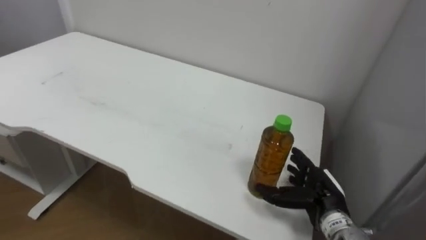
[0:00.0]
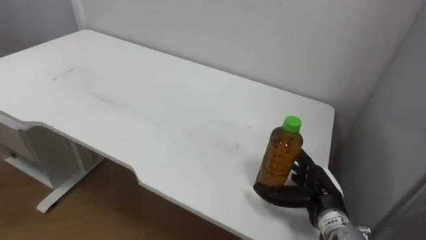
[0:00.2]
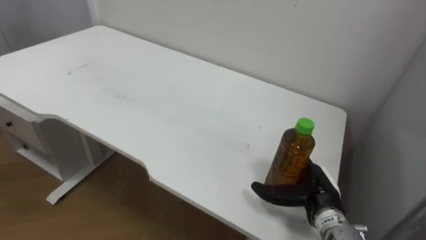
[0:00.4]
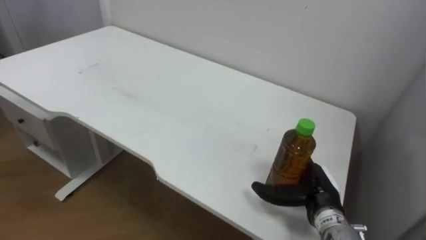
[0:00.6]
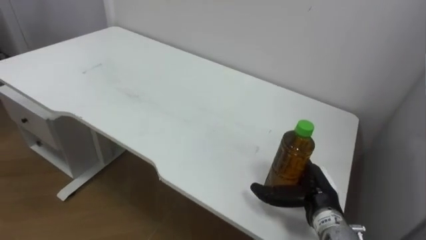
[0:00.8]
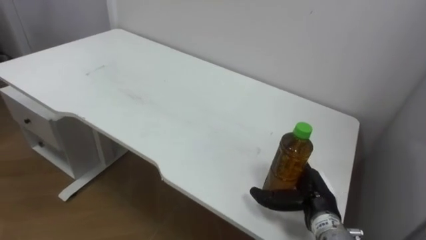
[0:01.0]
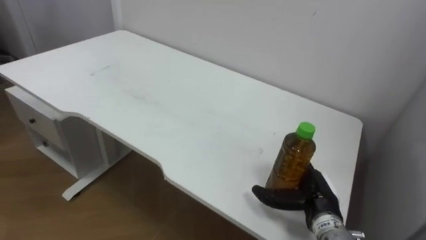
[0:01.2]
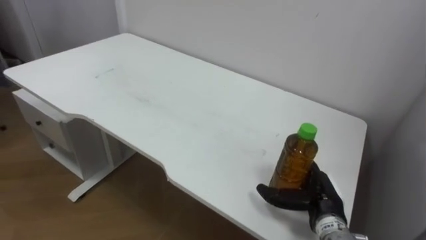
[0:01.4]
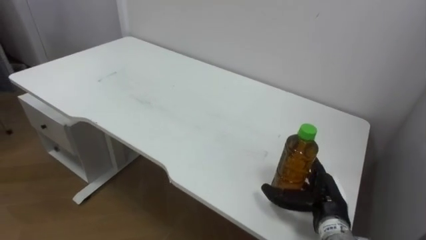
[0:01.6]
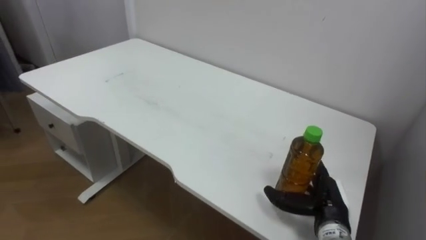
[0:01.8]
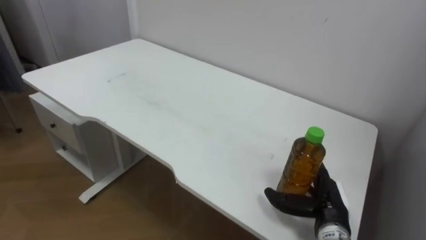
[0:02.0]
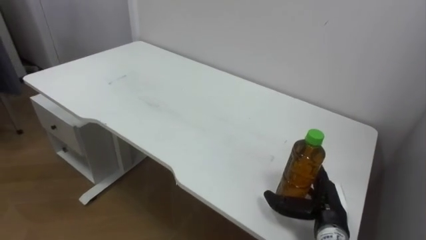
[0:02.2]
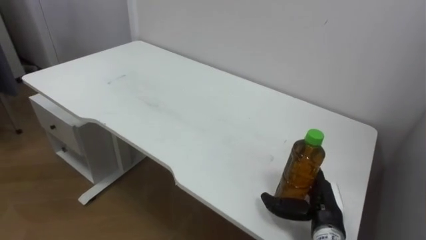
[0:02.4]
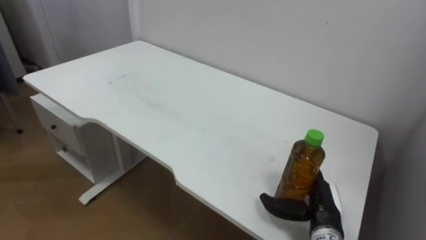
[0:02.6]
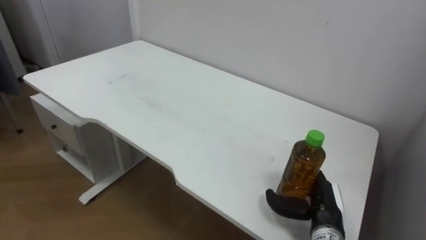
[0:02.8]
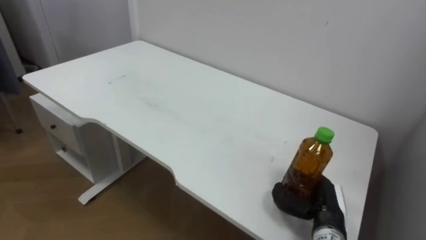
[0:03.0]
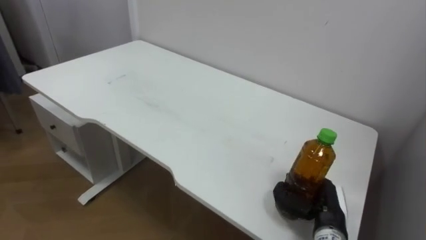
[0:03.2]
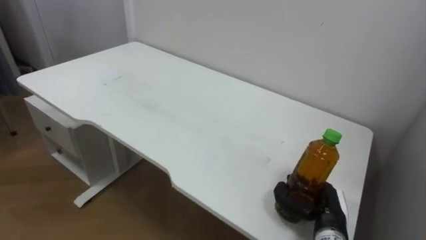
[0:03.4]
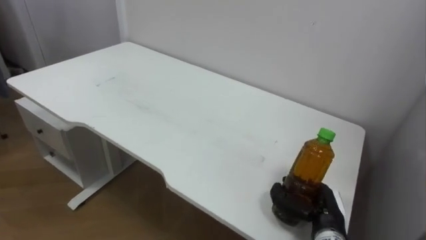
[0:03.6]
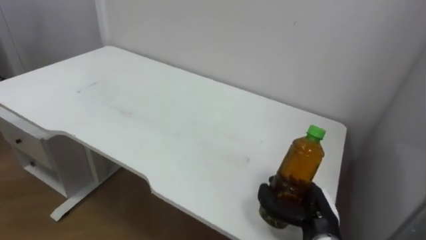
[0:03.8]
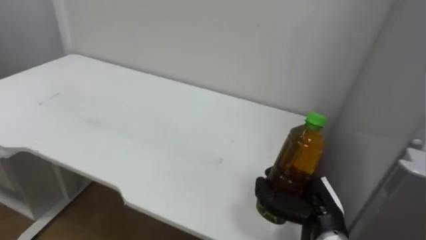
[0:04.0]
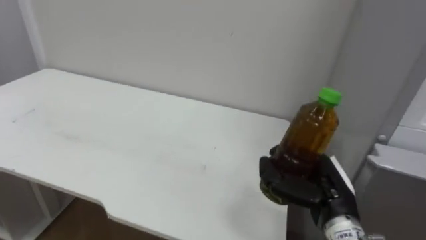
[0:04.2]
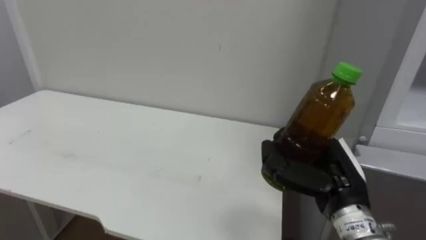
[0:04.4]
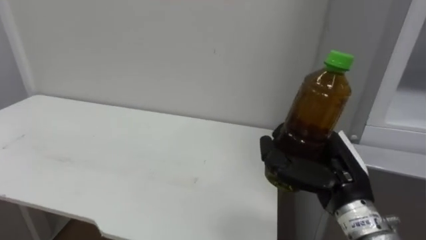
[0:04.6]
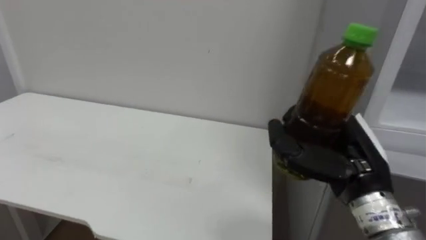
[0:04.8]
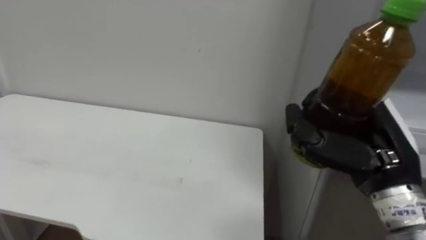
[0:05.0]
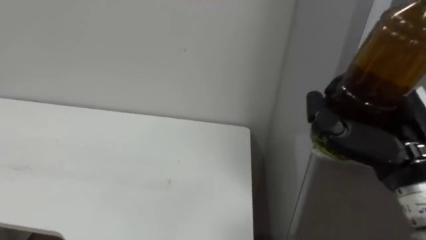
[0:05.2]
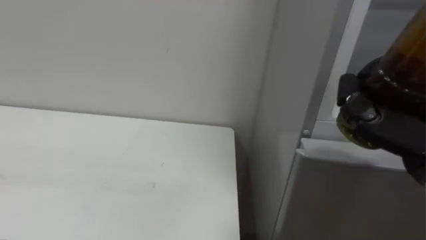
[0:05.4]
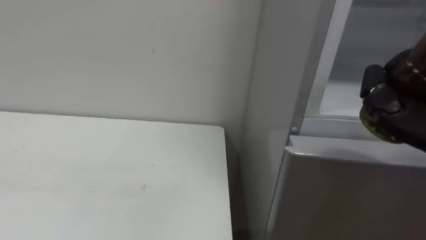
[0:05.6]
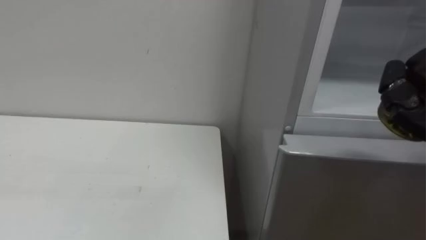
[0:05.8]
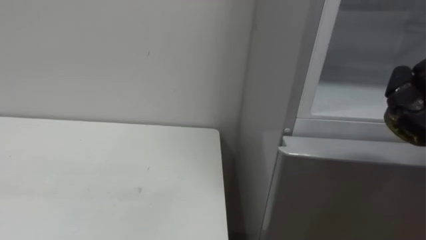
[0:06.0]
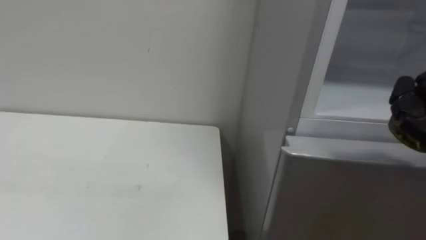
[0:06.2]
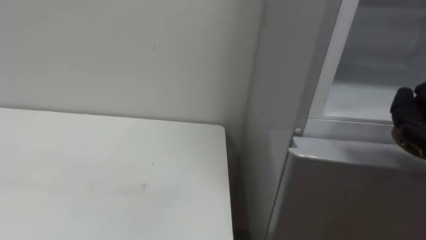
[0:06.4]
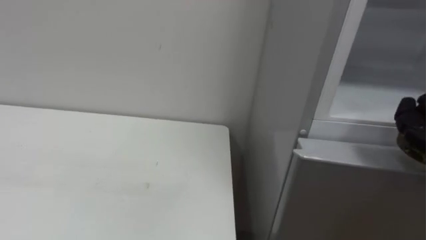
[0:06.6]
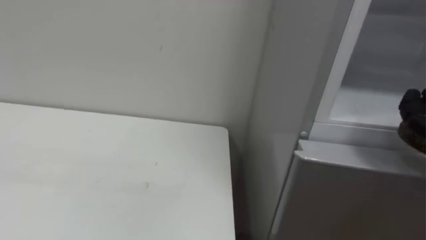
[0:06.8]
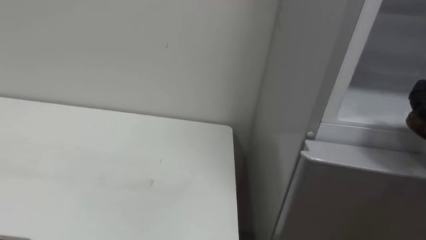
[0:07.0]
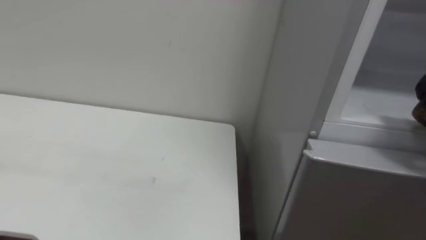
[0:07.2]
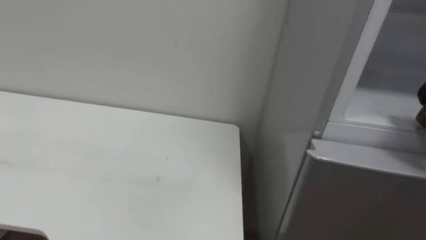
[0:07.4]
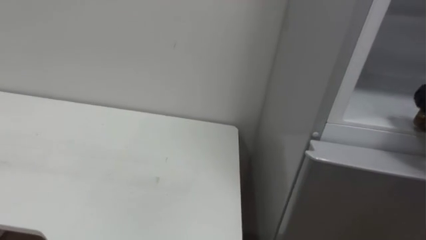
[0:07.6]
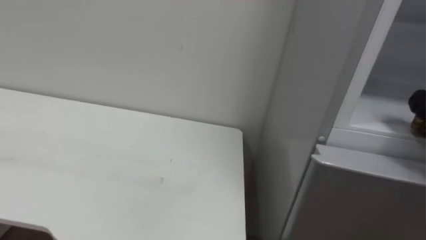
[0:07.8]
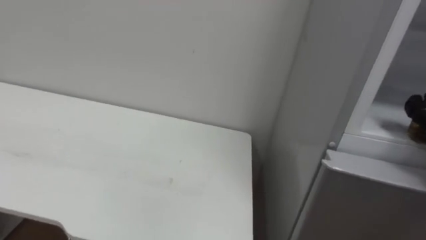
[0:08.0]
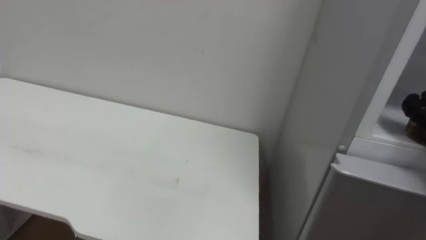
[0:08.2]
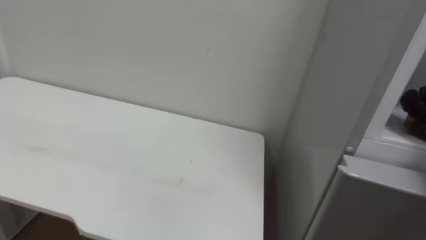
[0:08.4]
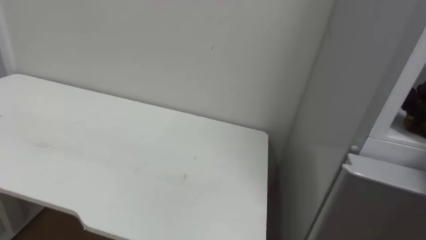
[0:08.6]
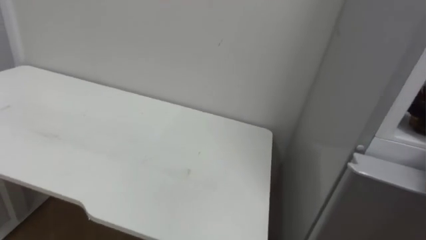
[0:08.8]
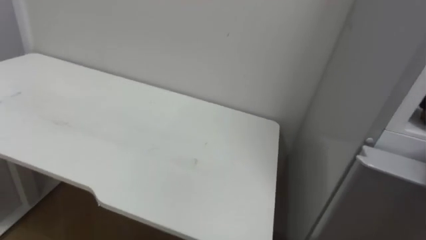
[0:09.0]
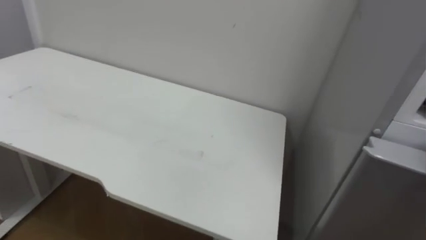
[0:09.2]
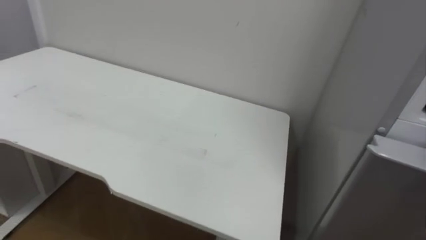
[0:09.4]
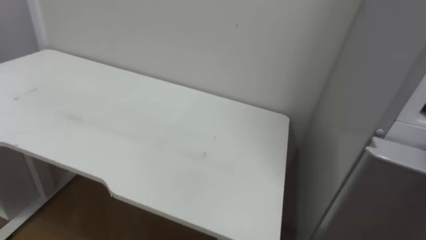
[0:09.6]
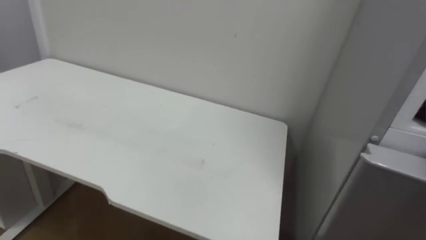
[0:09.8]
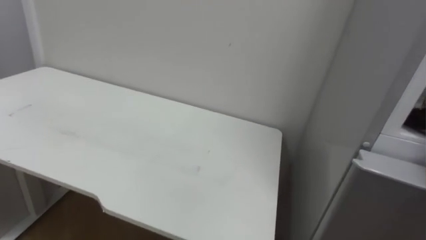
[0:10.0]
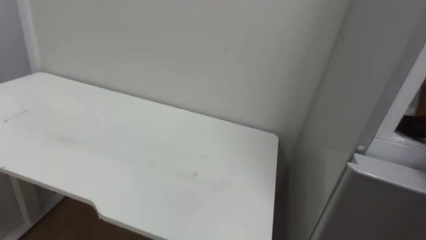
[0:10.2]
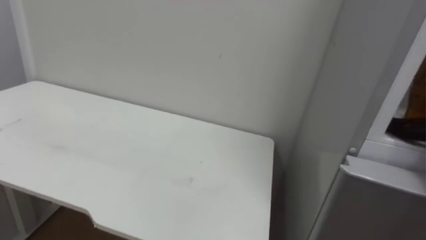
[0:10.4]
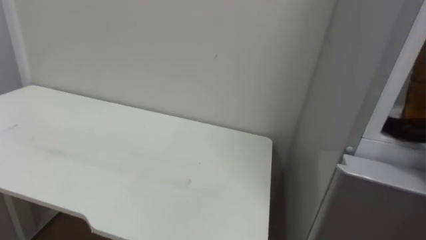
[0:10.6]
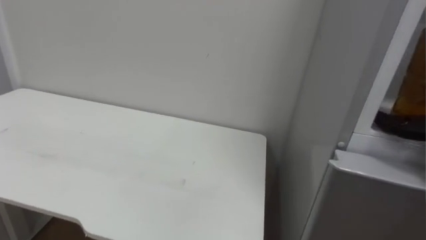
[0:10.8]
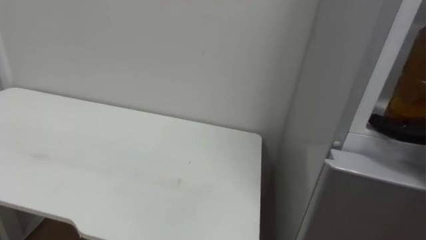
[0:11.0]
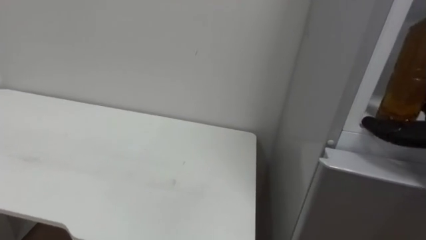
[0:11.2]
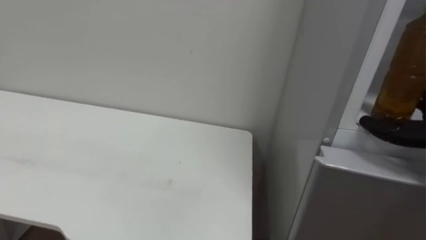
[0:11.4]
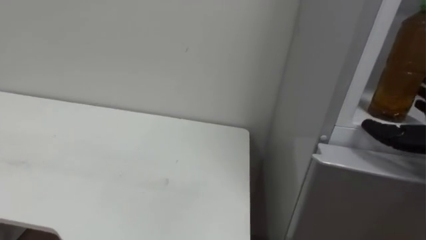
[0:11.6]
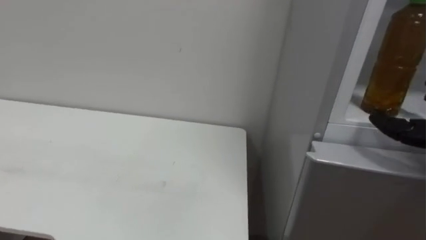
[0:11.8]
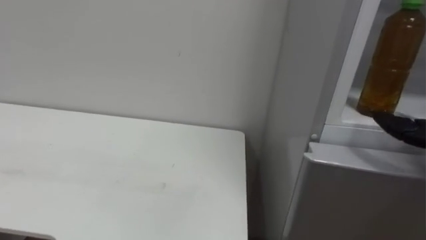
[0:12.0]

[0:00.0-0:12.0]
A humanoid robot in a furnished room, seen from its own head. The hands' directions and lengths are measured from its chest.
Task of the whole recording: Open the upper refrigerator door, put the drink from the table into the refrigerator, and then close the refrigerator door.
0:01.6 to 0:03.0: The right hand closes up.
0:03.0 to 0:04.4: The right hand shifts some 15 cm upward.

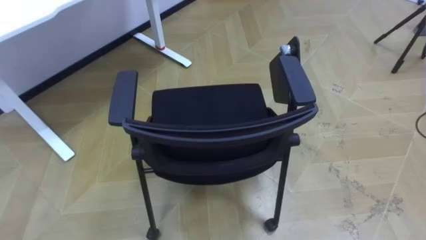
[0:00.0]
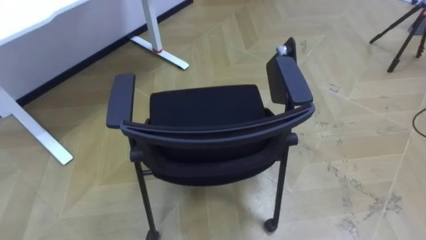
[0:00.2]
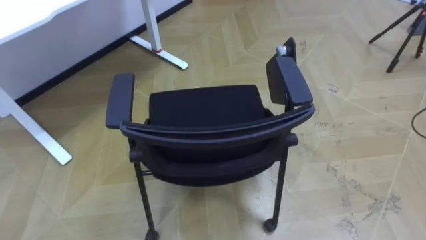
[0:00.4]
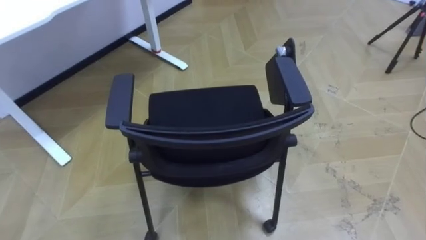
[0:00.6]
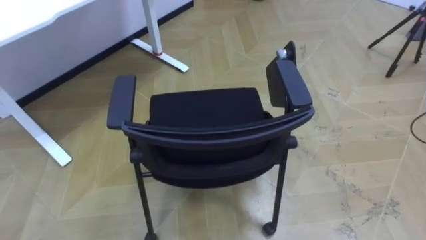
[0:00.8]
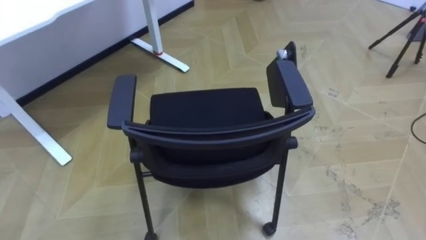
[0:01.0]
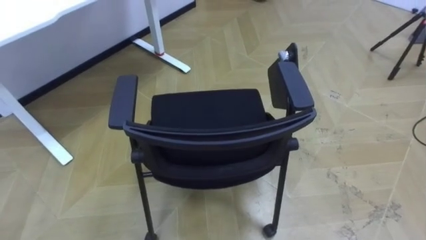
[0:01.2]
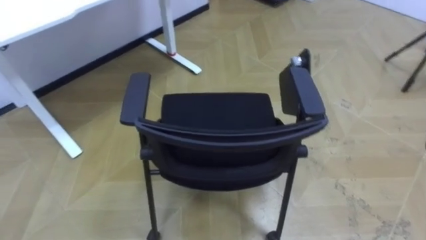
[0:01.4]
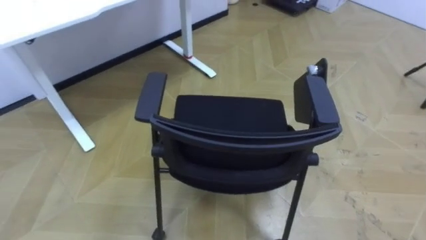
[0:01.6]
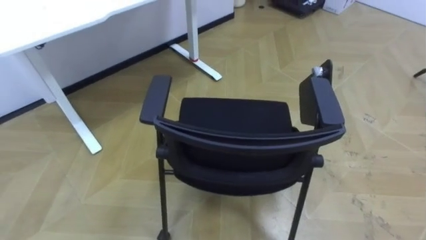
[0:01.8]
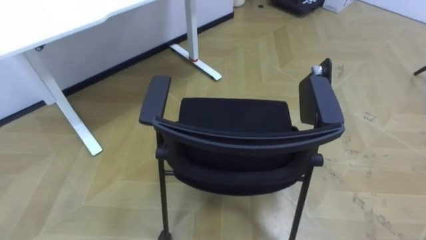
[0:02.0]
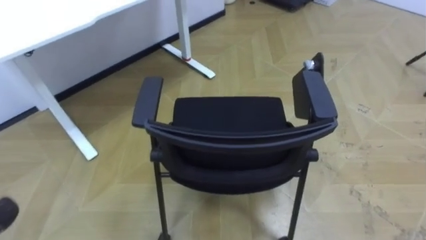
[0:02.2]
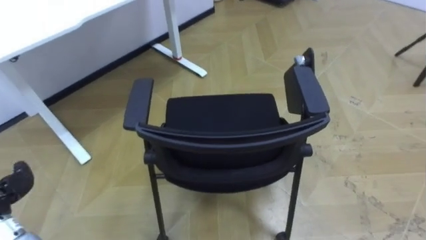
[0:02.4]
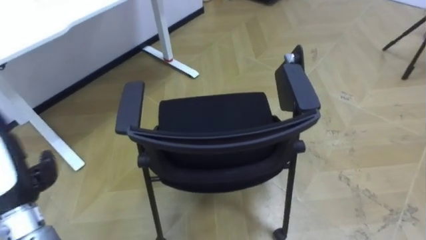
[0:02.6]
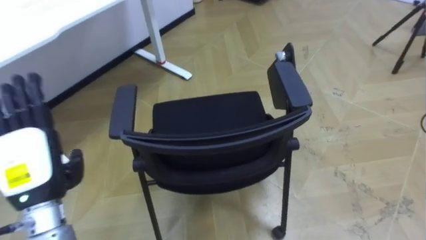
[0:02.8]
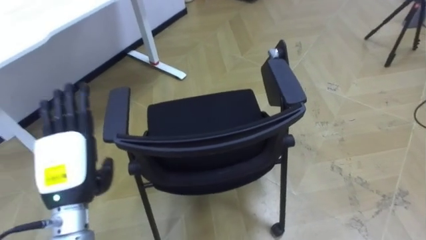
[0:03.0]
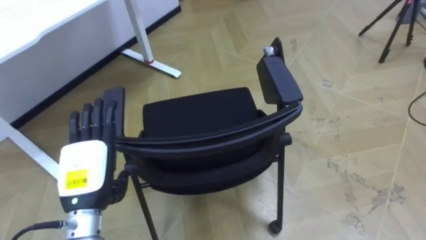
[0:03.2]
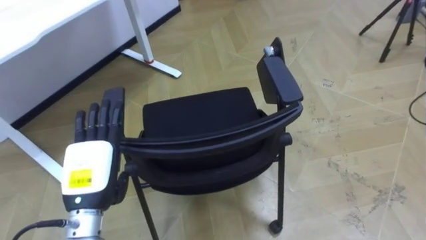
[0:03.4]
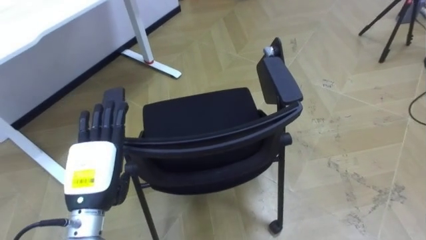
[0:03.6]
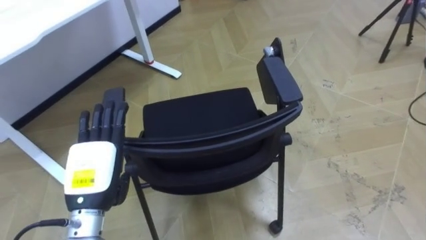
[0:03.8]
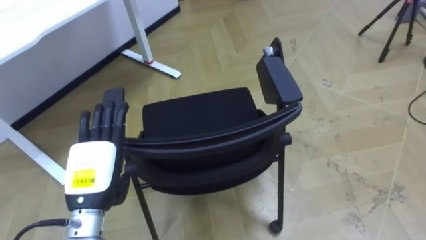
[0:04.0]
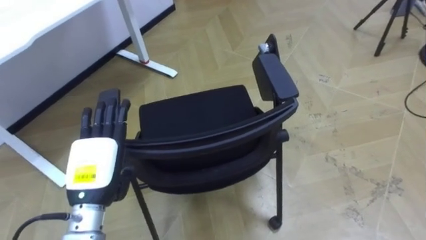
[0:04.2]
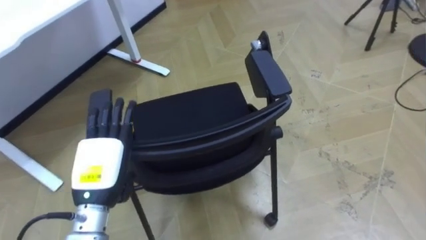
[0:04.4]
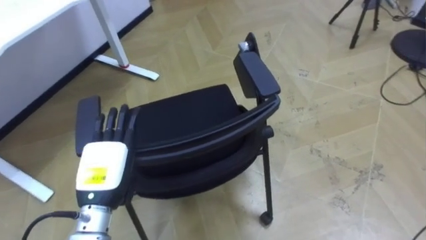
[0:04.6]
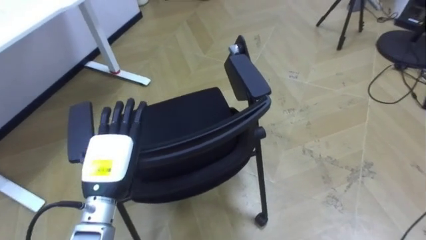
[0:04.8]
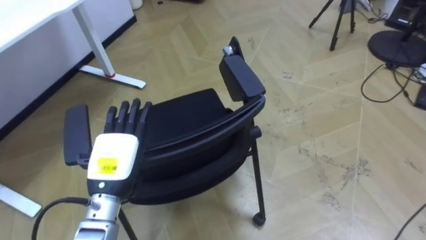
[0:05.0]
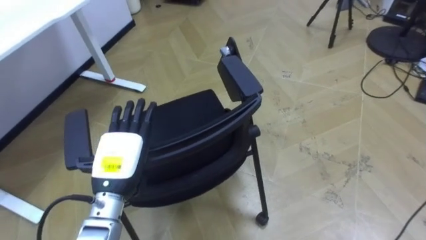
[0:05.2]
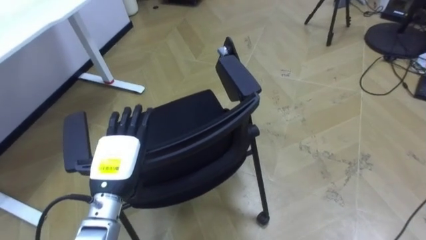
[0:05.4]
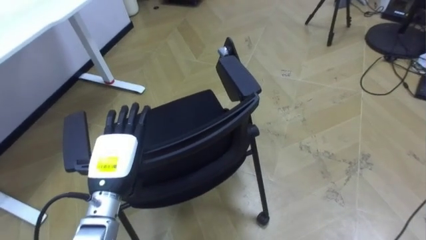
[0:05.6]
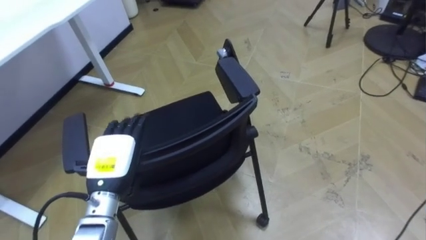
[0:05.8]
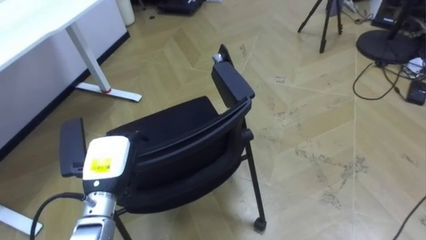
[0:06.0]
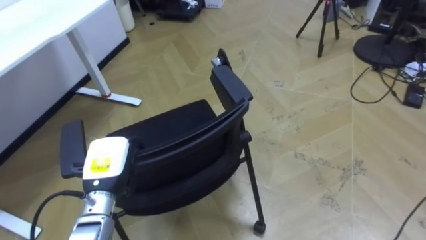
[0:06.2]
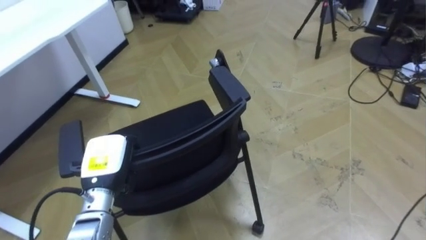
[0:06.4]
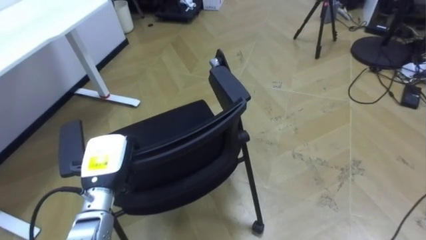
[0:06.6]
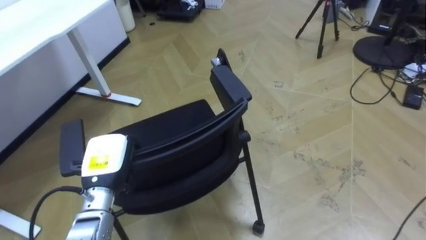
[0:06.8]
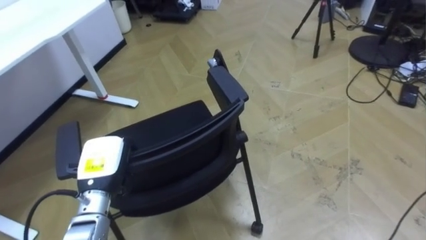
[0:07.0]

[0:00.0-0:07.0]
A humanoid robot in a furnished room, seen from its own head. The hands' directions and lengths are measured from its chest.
Task of the whole recording: Push the chair under the table.
0:02.8 to 0:04.2: The left hand heads to the right and downward, covering approximately 10 cm.
0:05.6 to 0:07.0: The left hand closes.
